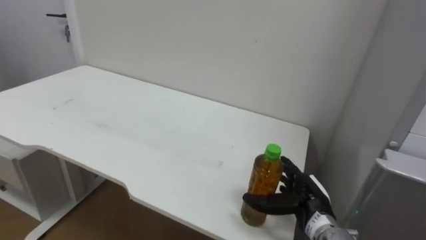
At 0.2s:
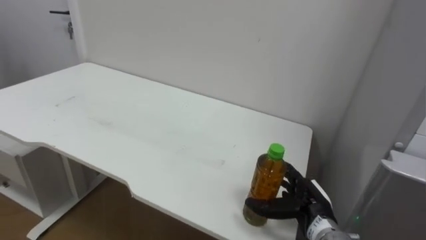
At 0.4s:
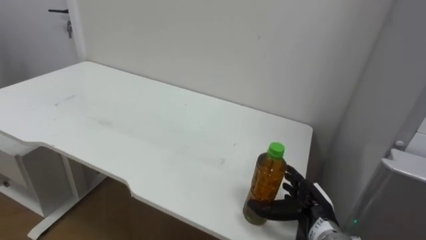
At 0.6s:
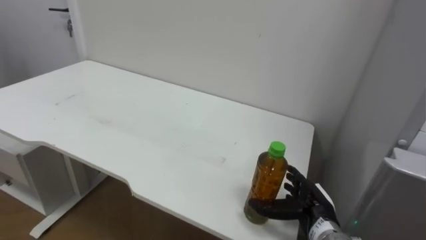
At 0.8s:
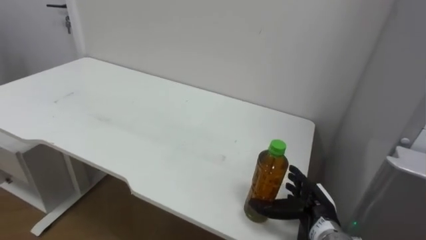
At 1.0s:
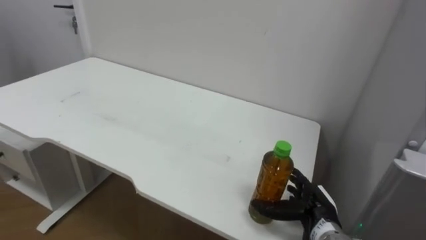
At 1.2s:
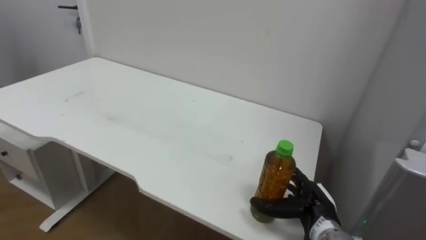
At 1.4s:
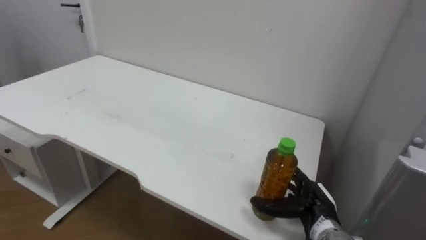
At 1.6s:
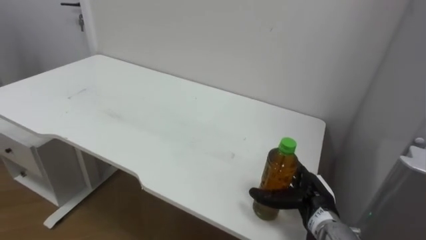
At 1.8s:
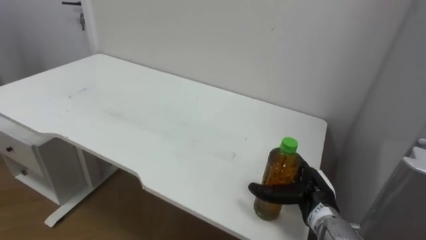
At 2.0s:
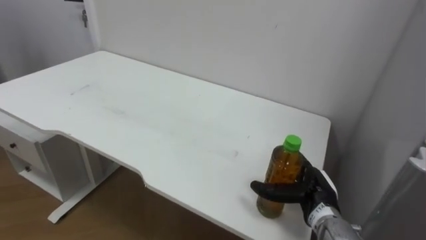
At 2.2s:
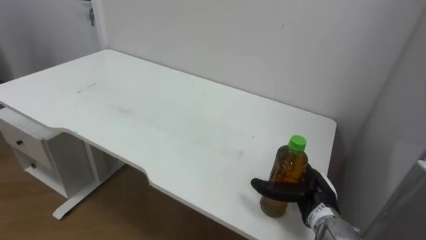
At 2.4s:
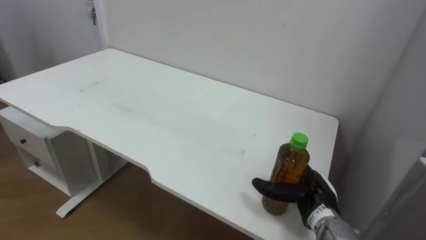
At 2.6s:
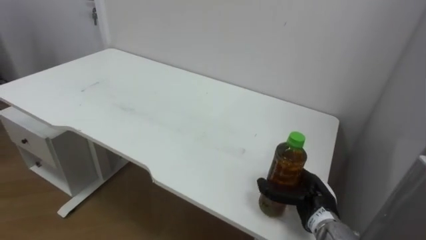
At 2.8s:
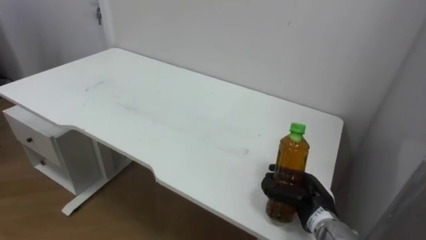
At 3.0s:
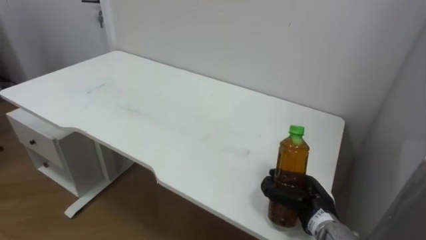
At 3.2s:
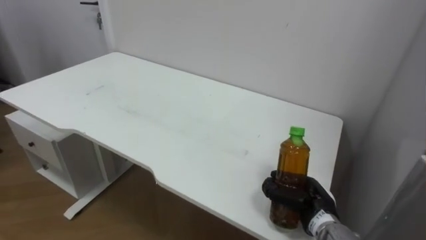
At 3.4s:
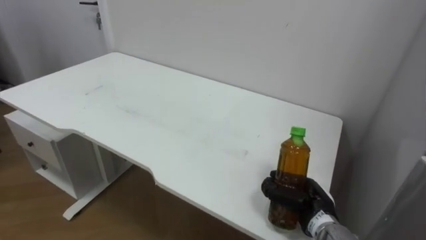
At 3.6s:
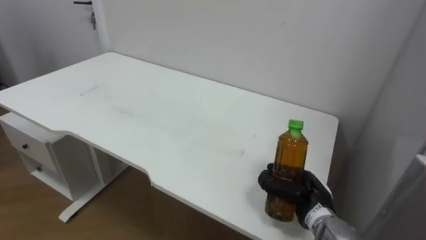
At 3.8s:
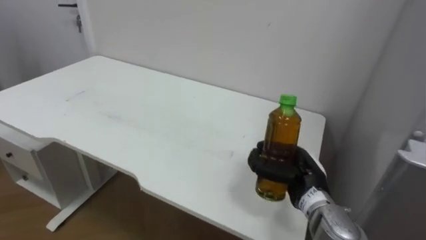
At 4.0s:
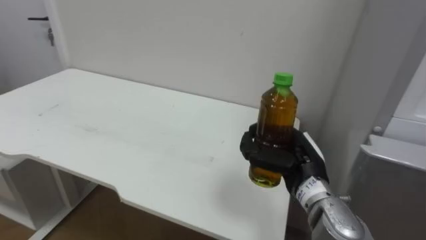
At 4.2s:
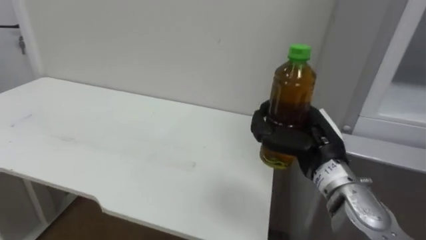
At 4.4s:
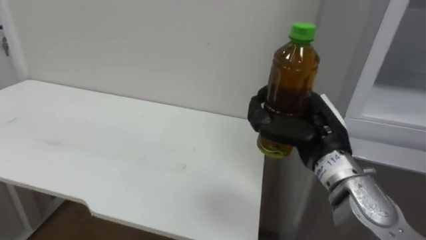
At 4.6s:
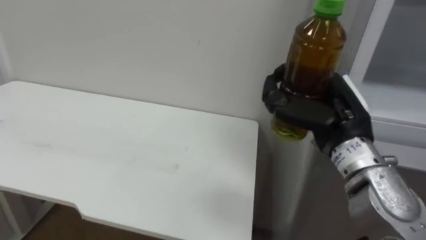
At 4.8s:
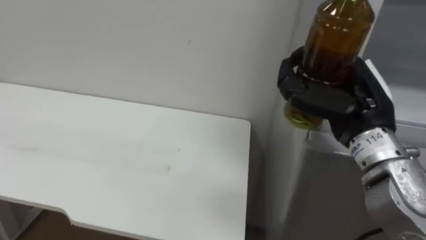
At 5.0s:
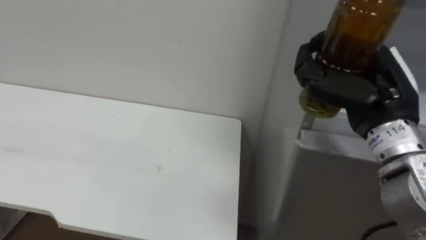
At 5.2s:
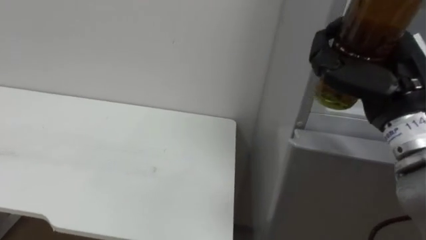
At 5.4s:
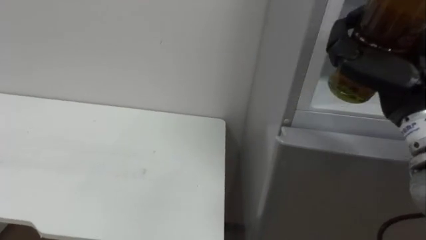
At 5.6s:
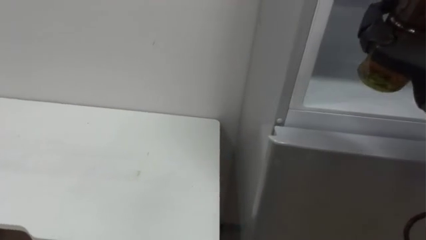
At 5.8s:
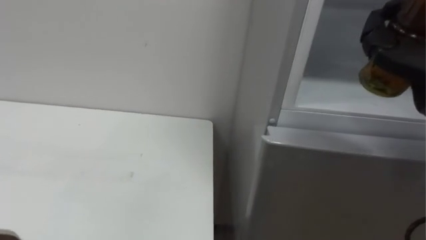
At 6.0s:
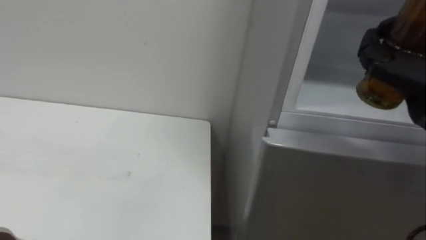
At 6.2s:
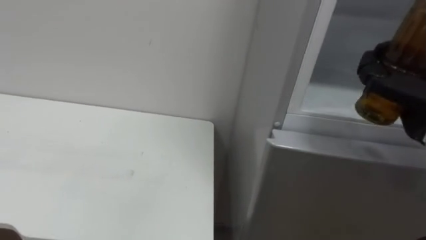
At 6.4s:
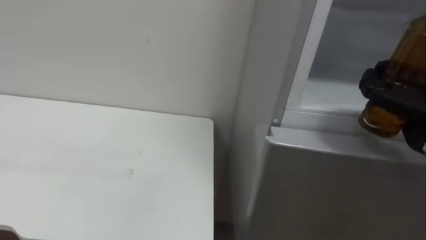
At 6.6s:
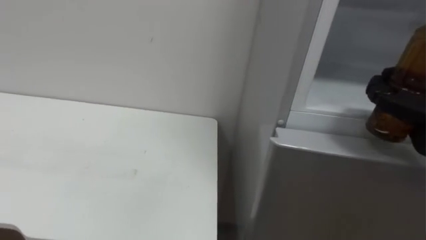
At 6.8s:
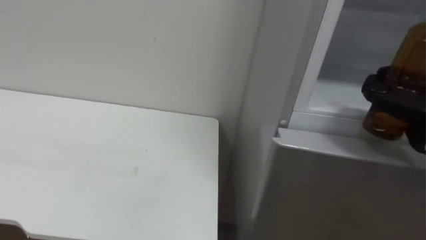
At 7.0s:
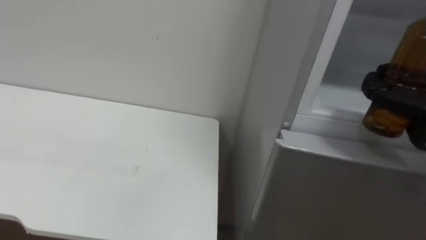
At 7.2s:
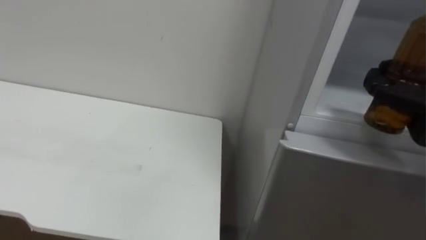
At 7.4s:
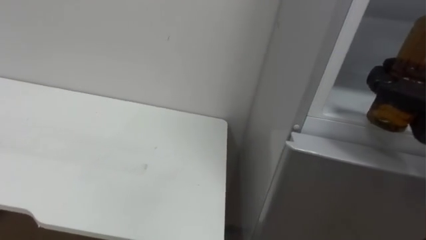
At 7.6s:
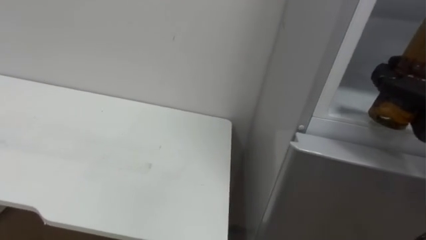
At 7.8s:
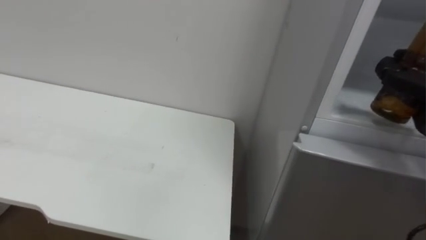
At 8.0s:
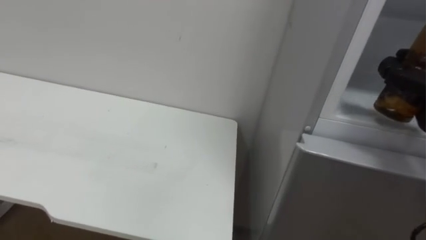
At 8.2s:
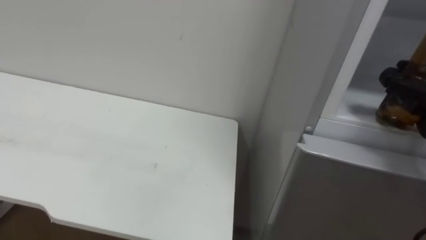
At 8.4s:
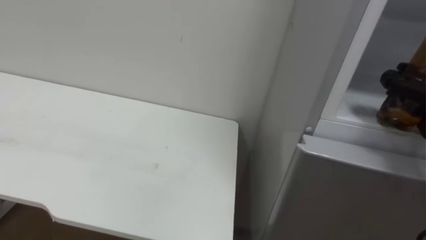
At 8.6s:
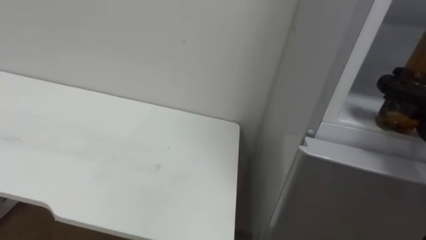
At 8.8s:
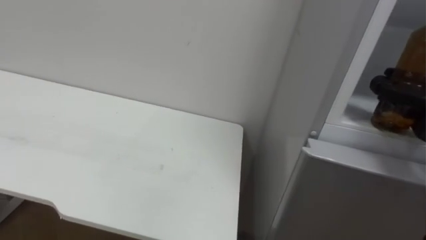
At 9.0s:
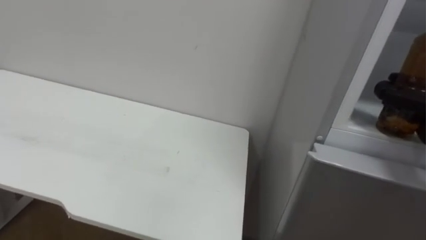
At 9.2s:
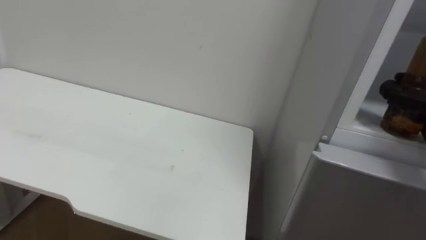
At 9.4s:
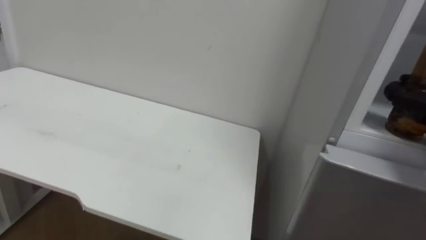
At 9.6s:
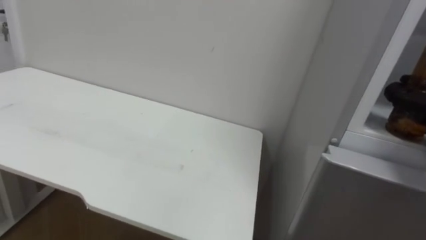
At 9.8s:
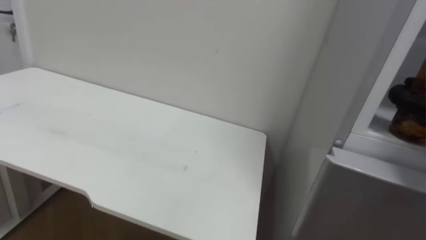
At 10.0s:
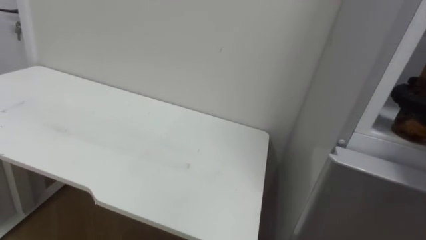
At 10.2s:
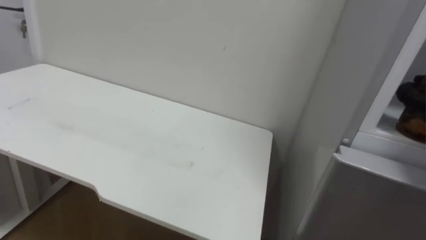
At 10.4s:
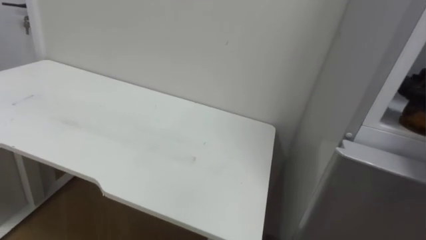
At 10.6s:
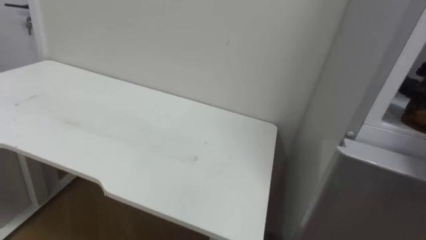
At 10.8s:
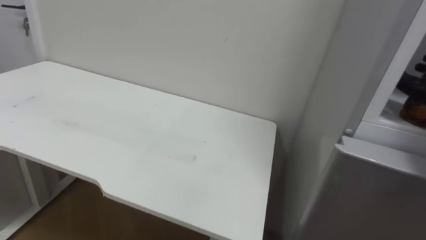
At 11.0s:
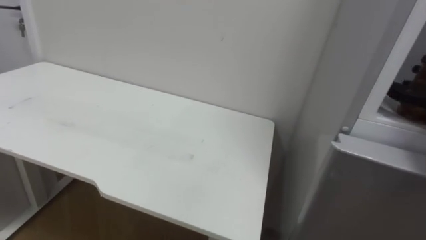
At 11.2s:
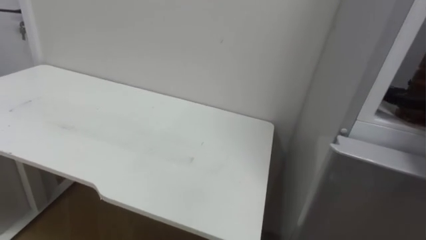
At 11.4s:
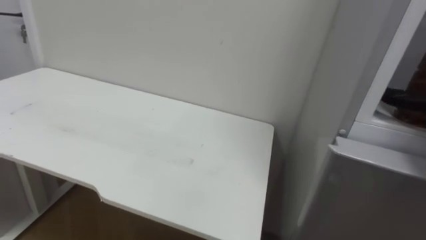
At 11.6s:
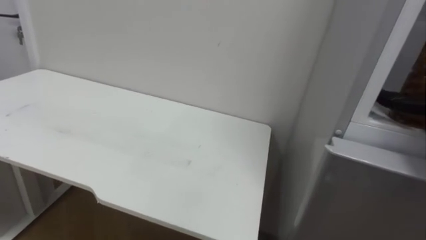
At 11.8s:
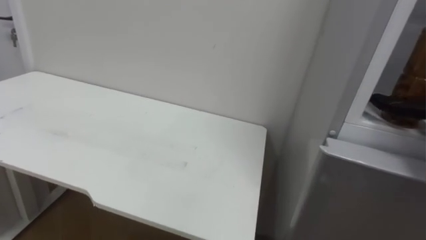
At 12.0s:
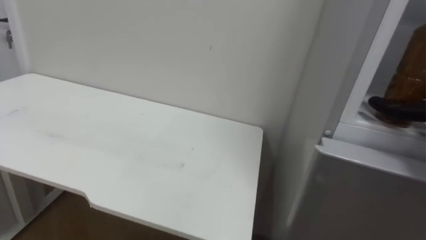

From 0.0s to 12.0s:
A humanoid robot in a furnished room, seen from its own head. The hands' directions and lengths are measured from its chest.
Task of the whole recording: Open the upper refrigerator door, put the drink from the table into the refrigerator, and then close the refrigerator door.
From 1.6s to 3.0s: The right hand closes up.
From 3.0s to 4.4s: The right hand goes some 20 cm upward.

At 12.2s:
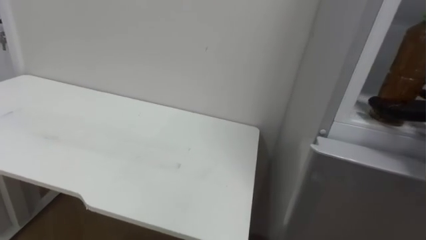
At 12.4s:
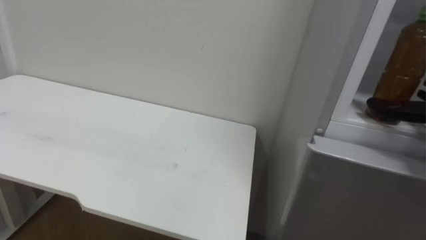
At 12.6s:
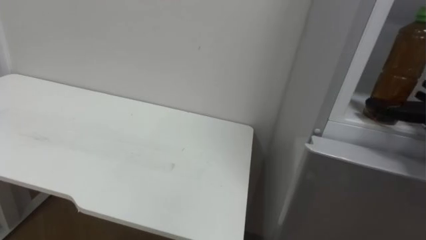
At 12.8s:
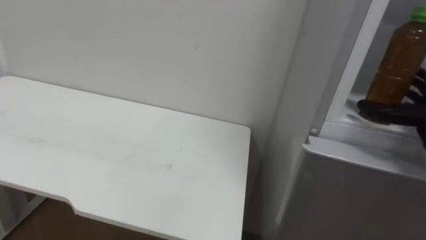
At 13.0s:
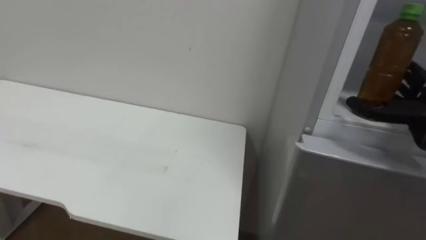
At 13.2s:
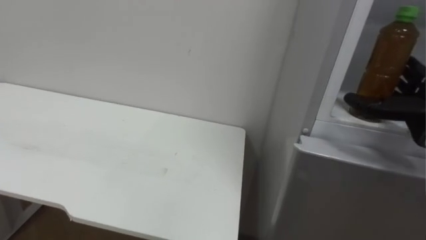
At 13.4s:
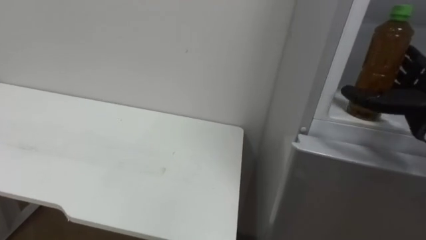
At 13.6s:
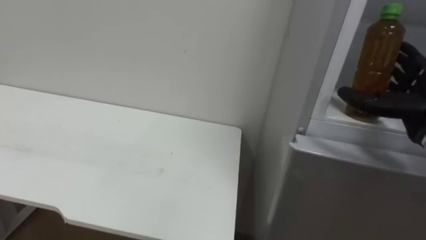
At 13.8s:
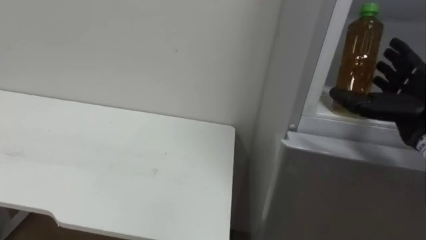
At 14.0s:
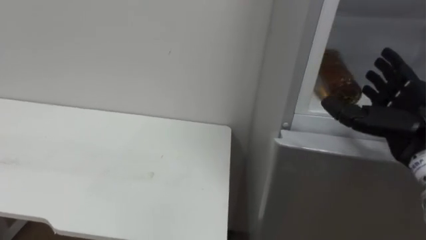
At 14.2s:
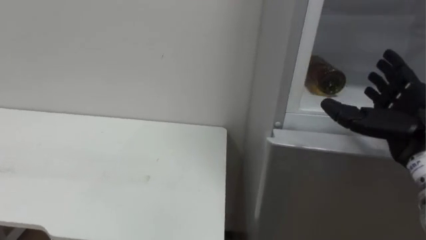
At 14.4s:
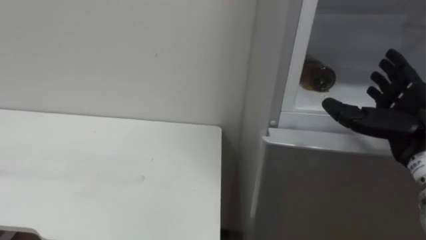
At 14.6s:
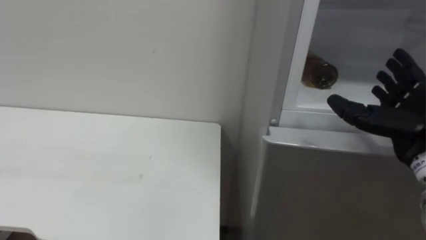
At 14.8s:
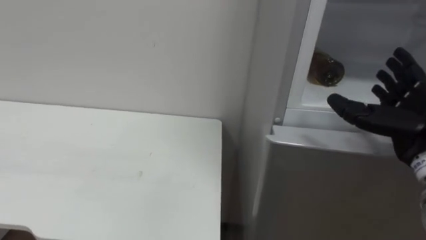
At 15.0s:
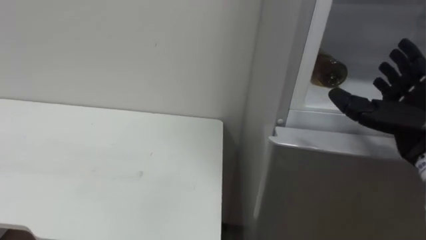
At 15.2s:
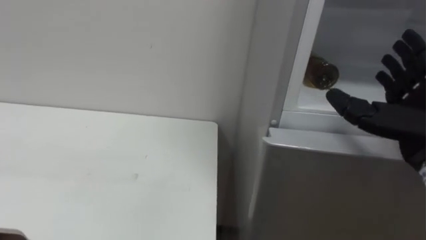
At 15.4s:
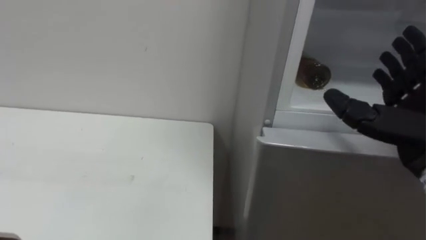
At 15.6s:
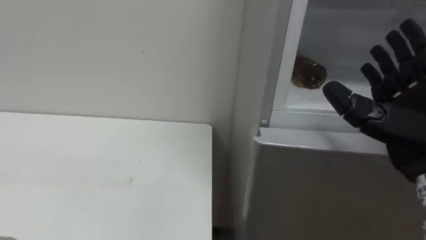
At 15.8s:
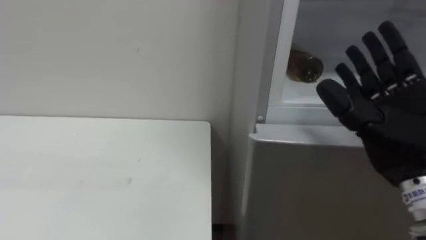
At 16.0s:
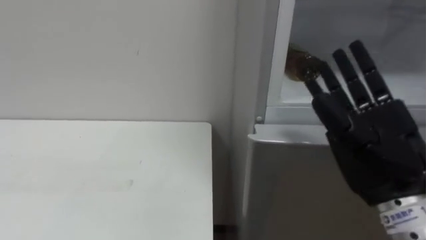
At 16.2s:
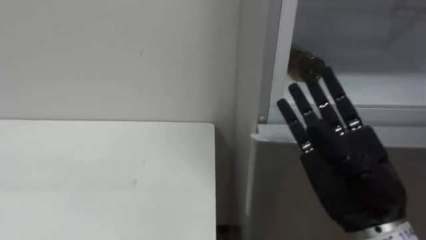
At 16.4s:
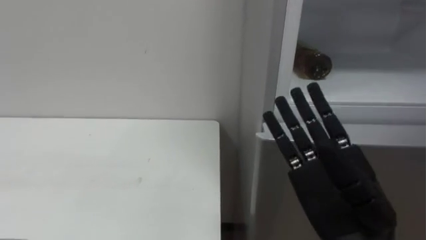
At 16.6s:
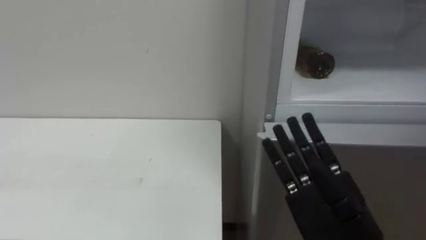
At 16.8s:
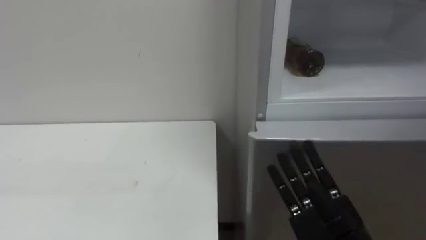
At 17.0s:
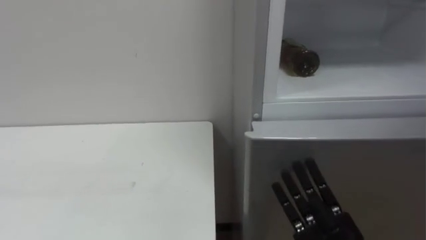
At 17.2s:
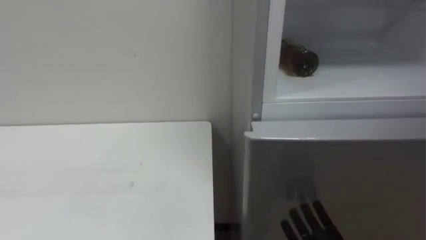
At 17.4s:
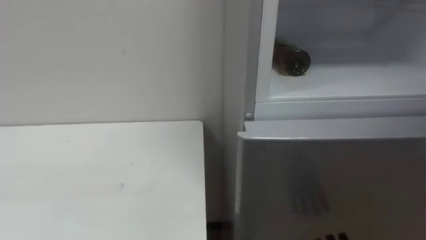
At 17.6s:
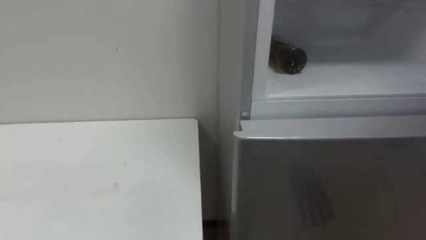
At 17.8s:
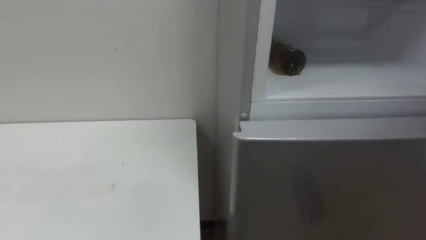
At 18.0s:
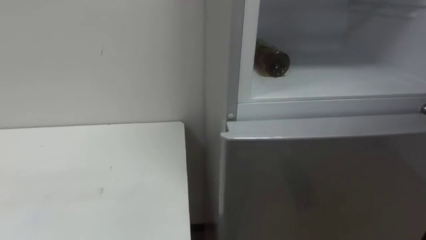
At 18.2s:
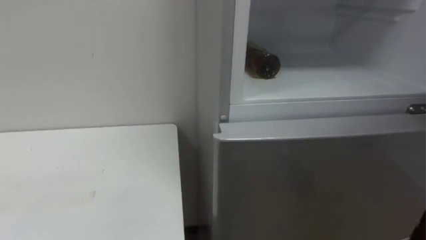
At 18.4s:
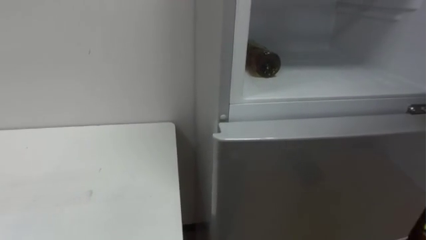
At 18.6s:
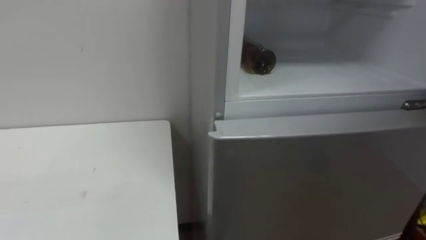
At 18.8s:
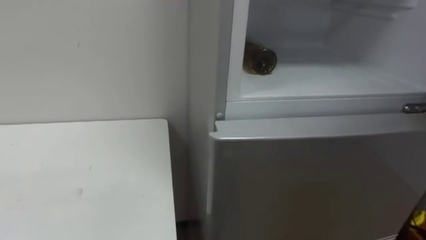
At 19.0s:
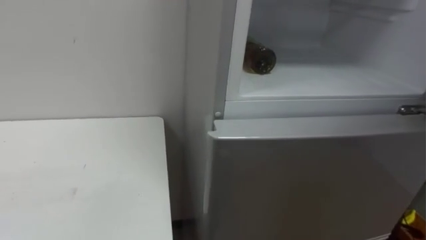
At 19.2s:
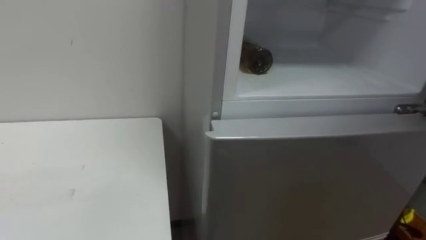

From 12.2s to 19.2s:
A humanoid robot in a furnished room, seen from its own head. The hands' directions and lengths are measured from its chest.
Task of the whole recording: Open the upper refrigerator door, put the drink from the table into the refrigerator, and then close the refrigerator door.
From 13.6s to 15.0s: The right hand moves roughly 5 cm.
From 15.0s to 16.4s: The right hand travels to the left and backward by roughly 15 cm.
